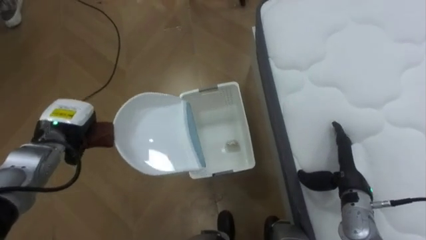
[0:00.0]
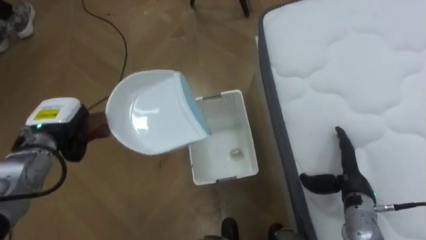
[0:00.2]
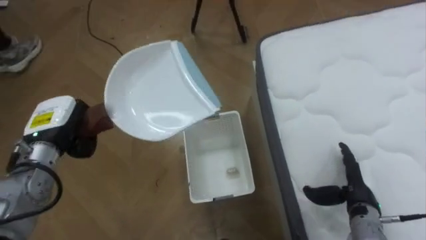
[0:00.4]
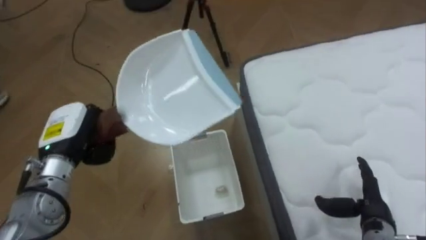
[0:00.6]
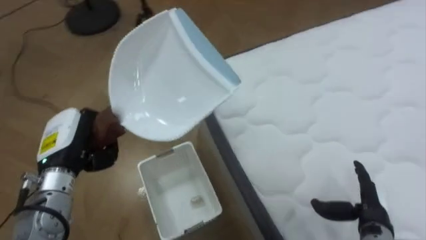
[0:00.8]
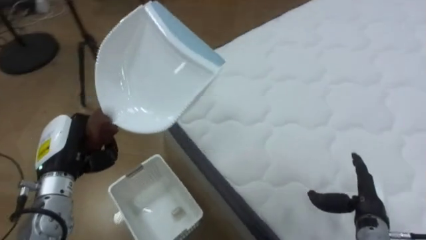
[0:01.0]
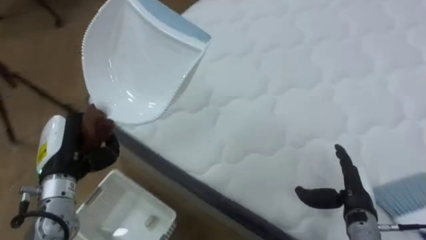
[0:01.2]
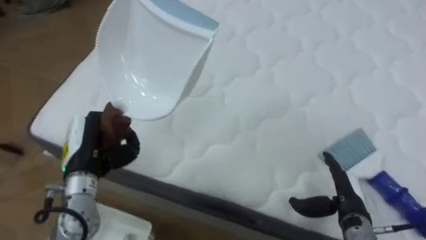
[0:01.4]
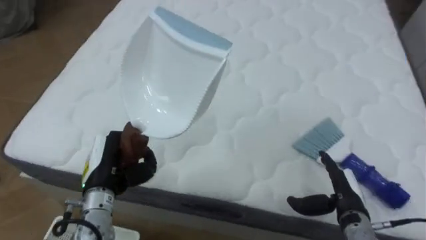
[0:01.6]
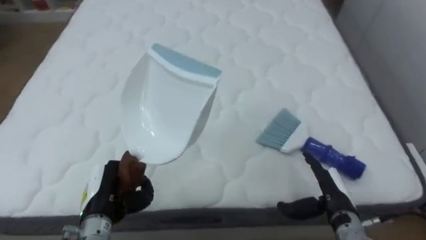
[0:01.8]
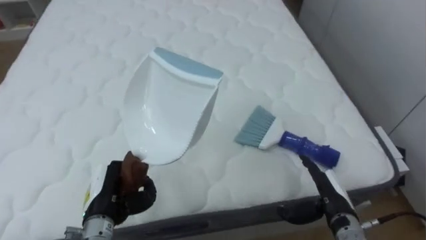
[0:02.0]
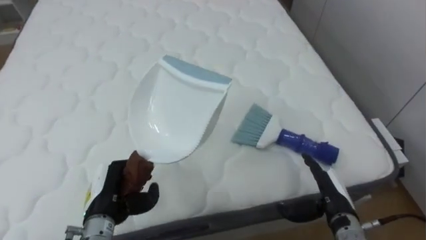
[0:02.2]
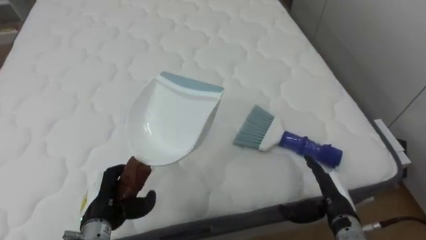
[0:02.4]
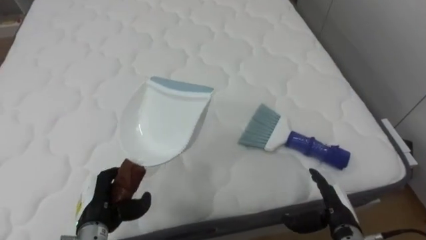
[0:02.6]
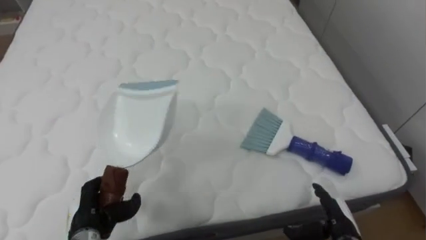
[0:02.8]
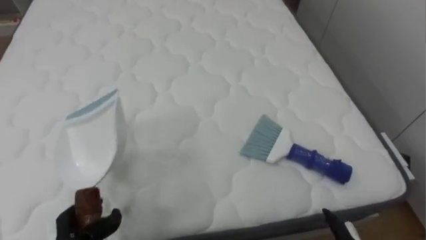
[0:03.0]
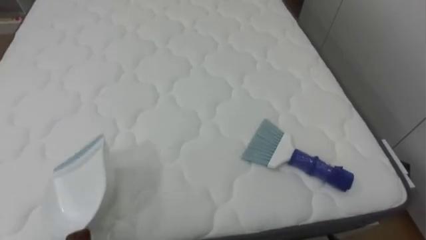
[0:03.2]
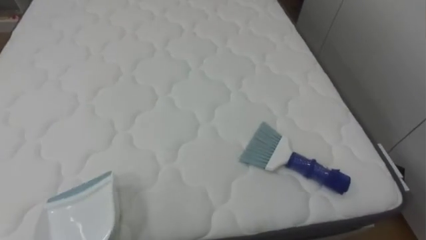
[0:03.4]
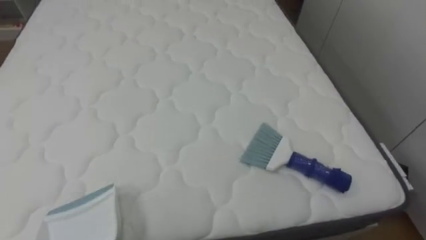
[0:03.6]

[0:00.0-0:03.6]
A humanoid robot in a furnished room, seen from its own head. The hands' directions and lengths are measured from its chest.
Task of the whole recording: Pick up the brush on your right and the dustpan on your left. Use the brush to sweep the crumpled paper on the bed into the dustpan, then turn left and empty it into the basket.
0:00.0 to 0:01.8: The robot rotates approximately 95 degrees to its right. The left hand heads backward, to the right and downward, covering roughly 15 cm.

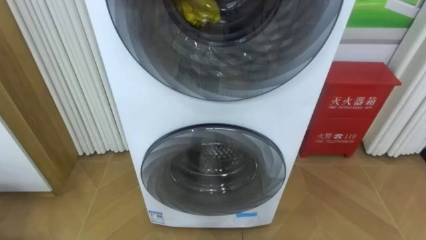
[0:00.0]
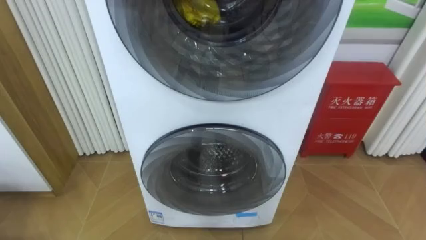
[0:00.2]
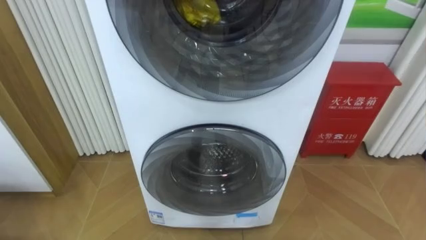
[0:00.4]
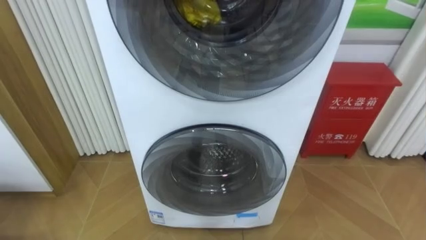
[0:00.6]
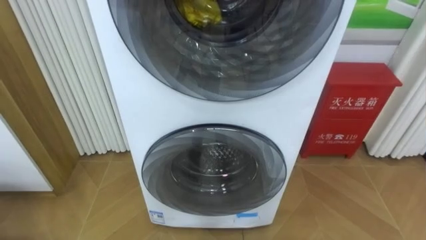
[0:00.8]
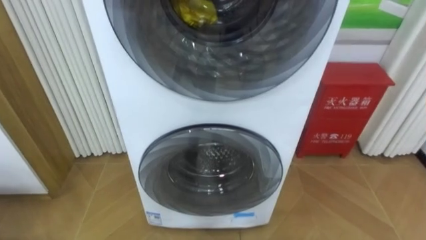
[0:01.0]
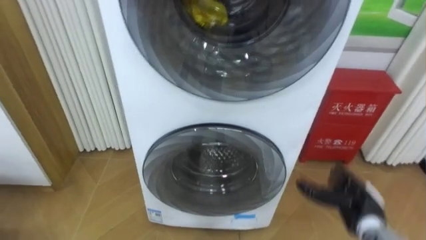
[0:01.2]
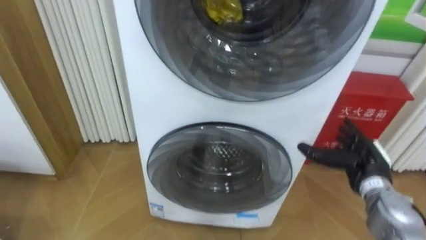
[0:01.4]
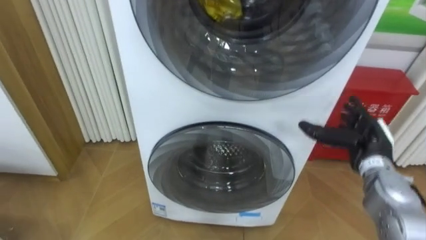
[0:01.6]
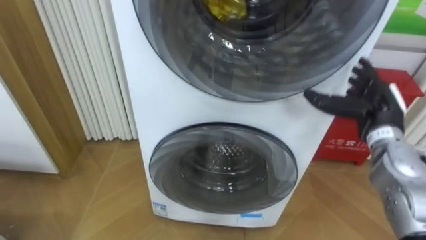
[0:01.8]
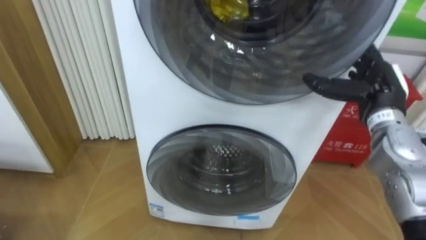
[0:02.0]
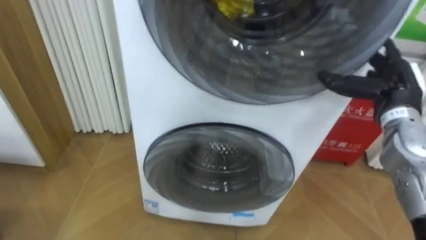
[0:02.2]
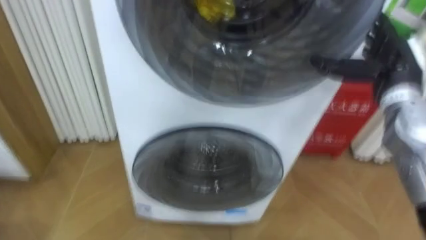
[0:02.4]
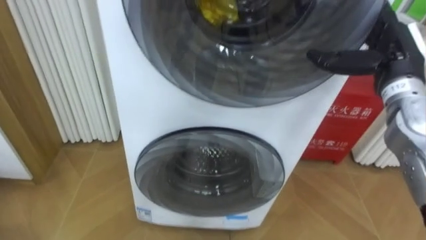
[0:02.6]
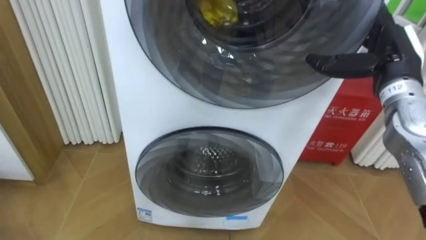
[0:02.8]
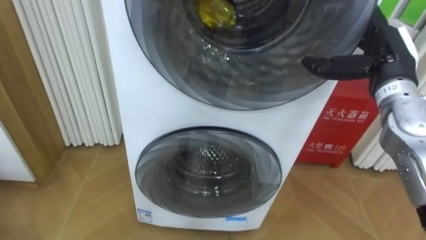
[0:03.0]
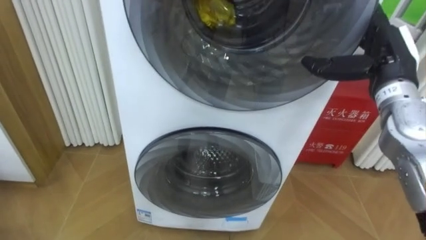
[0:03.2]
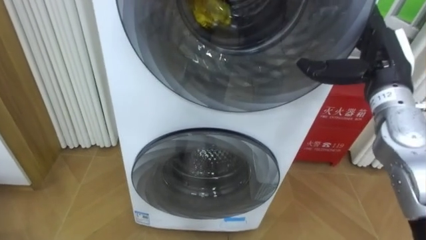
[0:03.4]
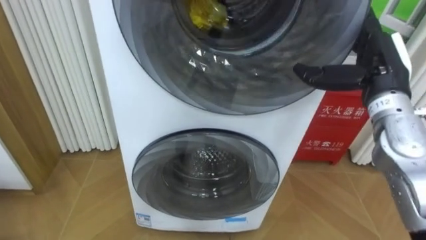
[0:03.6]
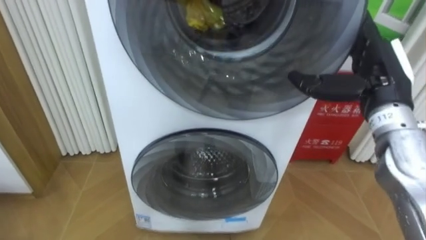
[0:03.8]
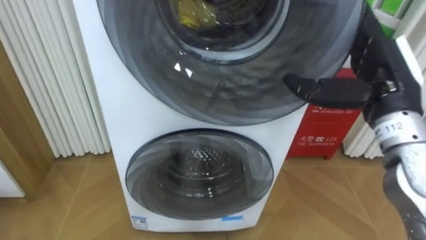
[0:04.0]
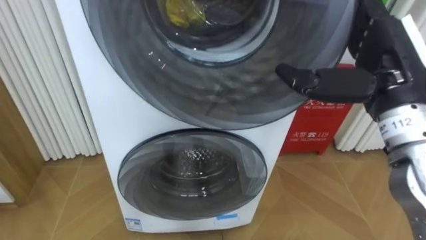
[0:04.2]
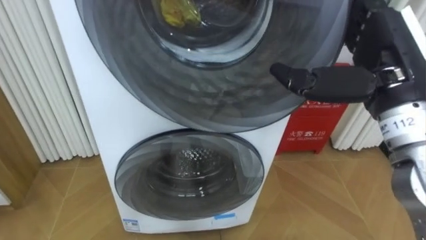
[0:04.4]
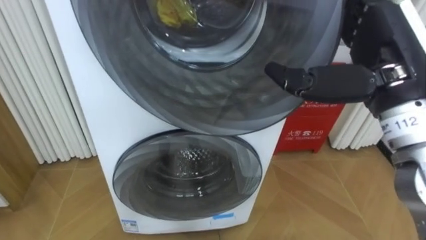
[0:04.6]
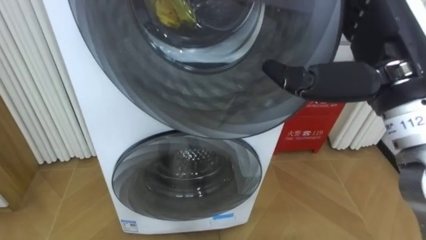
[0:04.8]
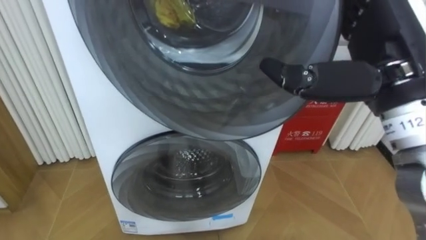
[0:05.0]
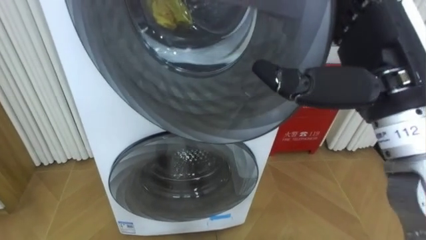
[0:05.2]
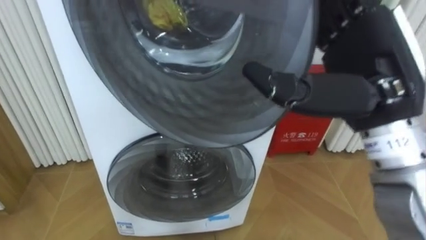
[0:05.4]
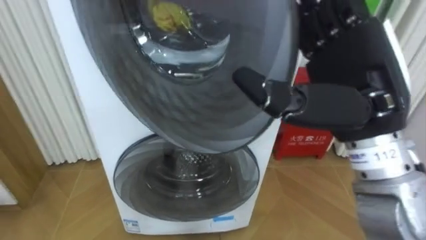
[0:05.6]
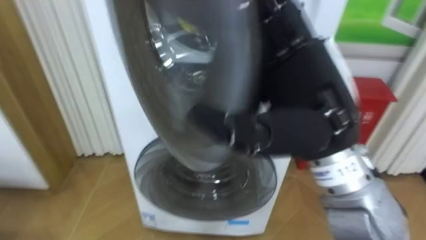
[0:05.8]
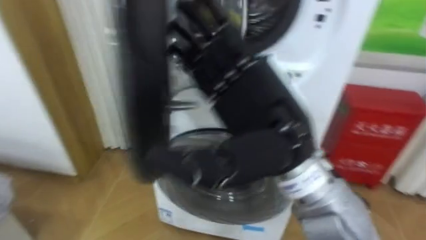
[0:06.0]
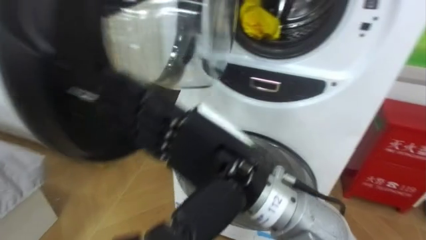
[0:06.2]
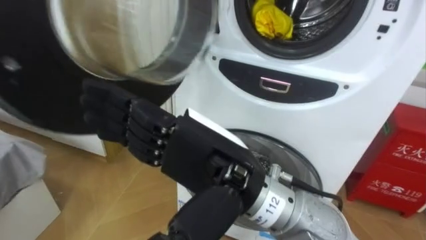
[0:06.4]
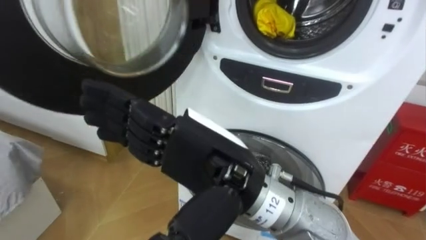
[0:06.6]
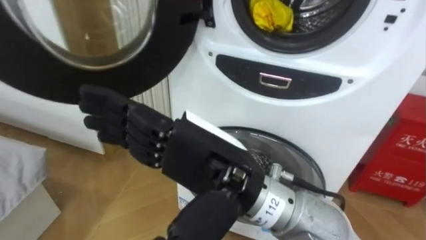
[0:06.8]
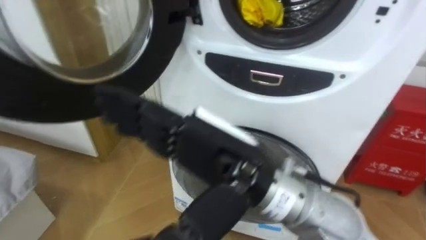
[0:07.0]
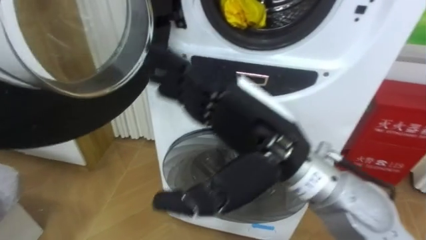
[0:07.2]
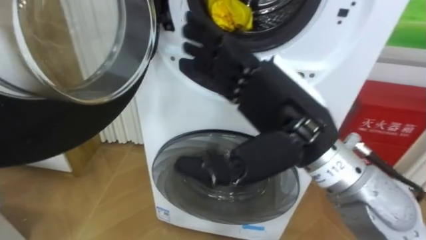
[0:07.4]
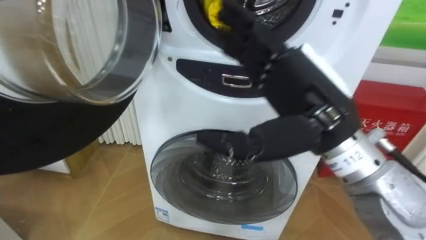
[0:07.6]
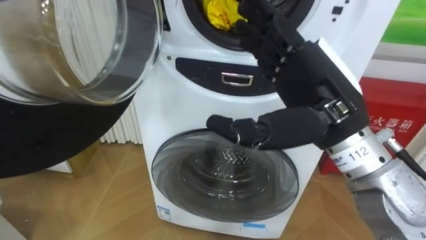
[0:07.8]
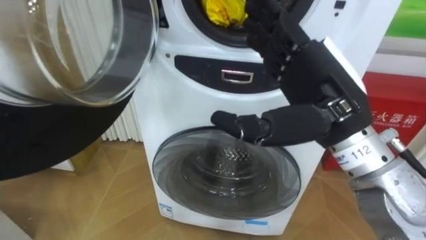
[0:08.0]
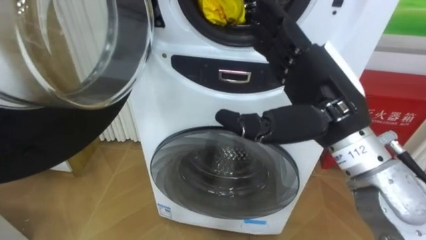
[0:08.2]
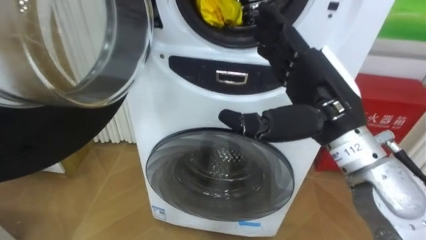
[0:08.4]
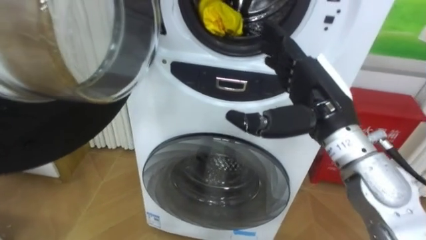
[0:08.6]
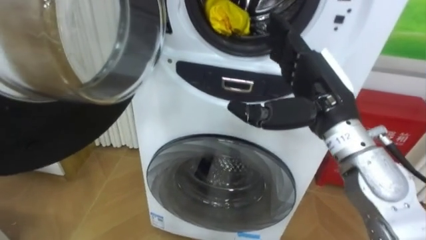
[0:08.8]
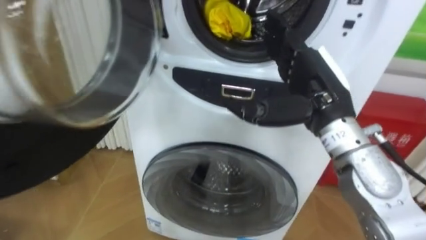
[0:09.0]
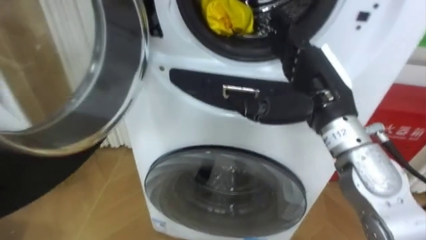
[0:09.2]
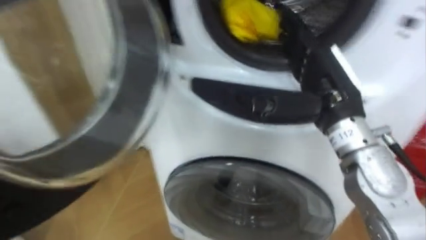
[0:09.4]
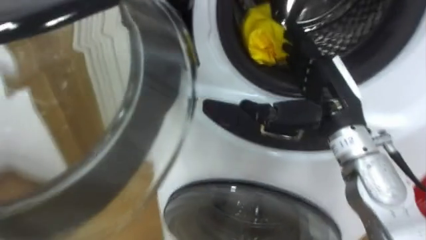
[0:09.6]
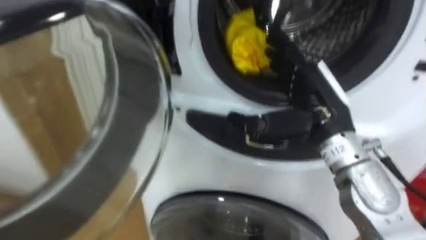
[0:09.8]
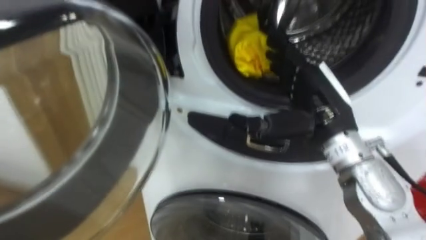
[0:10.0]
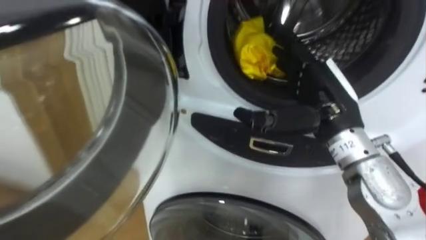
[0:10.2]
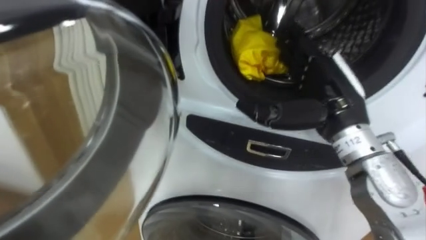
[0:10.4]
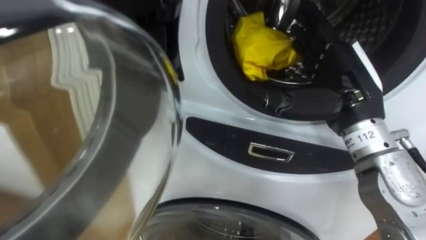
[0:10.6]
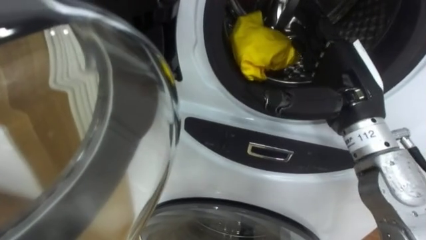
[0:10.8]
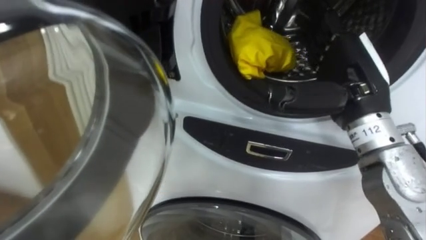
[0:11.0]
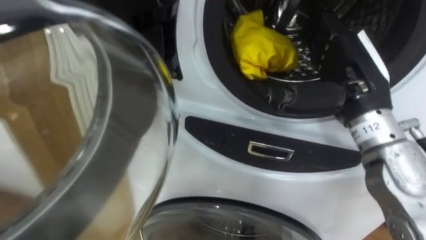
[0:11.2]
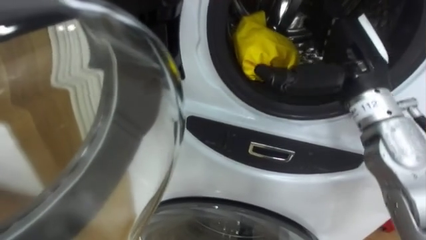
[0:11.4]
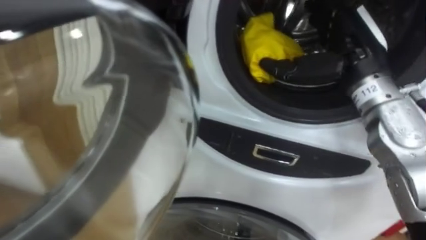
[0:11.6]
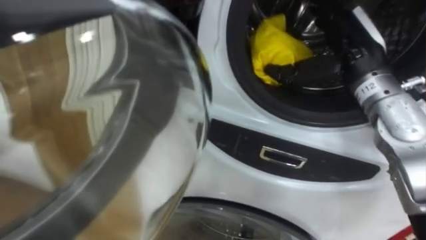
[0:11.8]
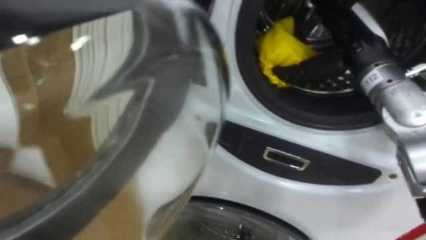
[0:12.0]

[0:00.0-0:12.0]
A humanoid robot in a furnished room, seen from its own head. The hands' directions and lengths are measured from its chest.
Task of the whole recording: Open the washing machine door, take out the yellow clothes, place them in the box on the right, and close the washing machine door.
0:01.6 to 0:03.0: The right hand moves upward, roughly 15 cm.
0:03.0 to 0:04.4: The right hand is displaced backward, to the left and upward by approximately 15 cm.
0:04.4 to 0:06.0: The right hand travels to the left by some 15 cm.
0:06.0 to 0:07.6: The right hand heads to the right, covering about 5 cm.
0:07.6 to 0:09.0: The right hand shifts approximately 5 cm forward.
0:10.4 to 0:12.0: The right hand goes approximately 5 cm forward.

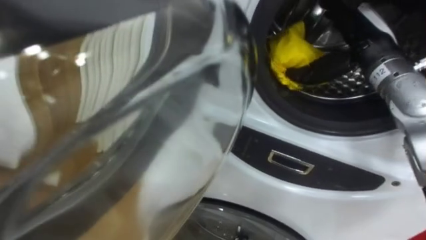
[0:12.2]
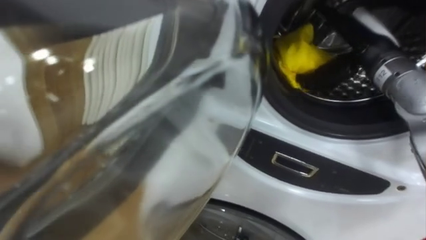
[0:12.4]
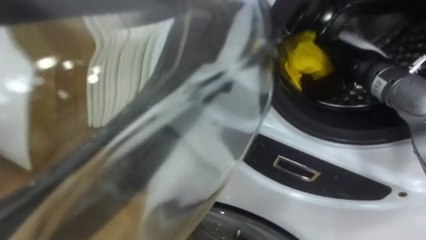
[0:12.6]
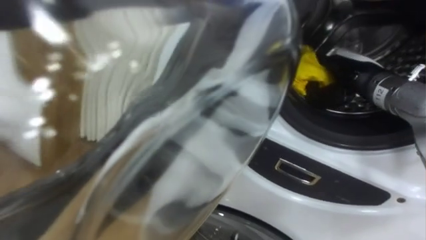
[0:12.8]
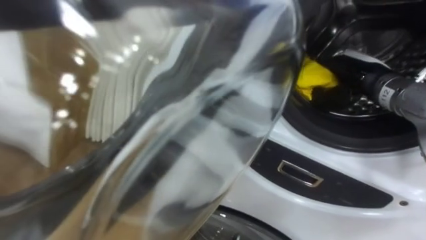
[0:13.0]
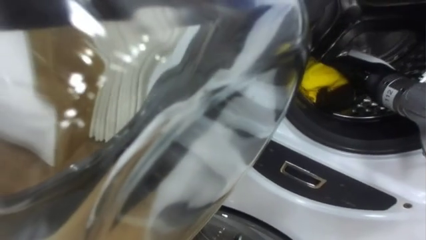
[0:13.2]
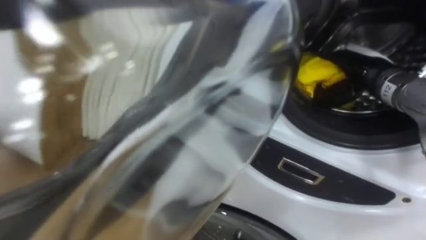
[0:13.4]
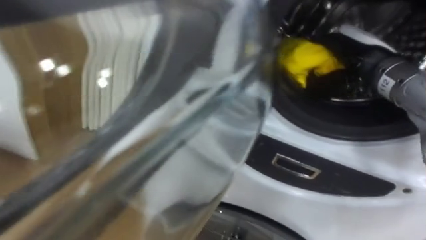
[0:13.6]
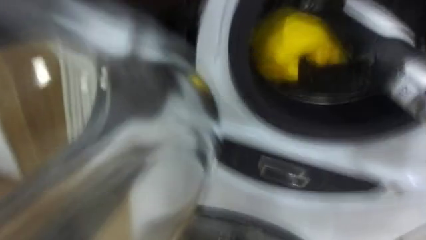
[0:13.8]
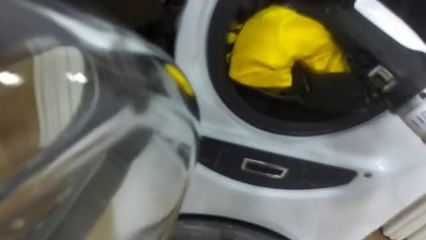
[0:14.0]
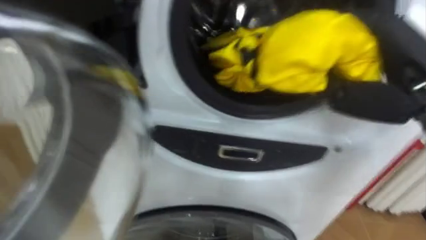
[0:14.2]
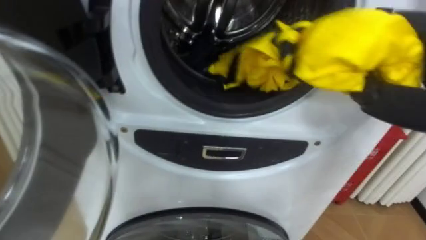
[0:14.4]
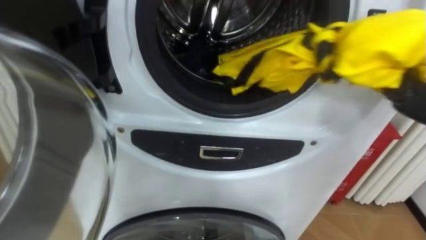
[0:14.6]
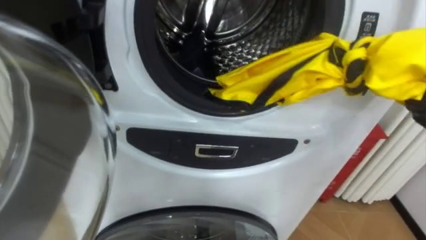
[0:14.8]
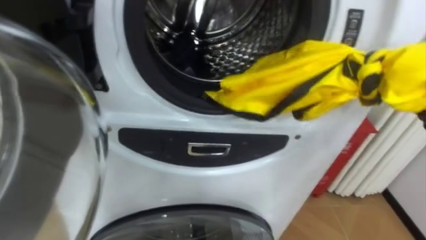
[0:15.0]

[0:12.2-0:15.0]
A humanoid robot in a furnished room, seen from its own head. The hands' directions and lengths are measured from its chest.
Task of the whole recording: Open the washing machine door, take out the yellow clothes, place them in the box on the right, and close the washing machine door.
0:12.2 to 0:13.6: The right hand closes up.
